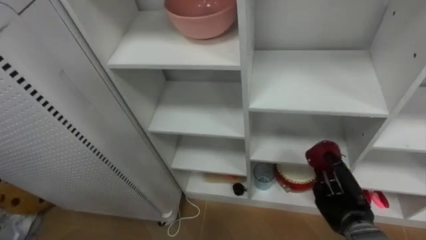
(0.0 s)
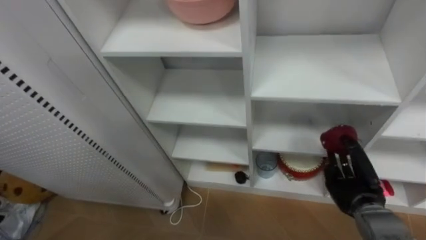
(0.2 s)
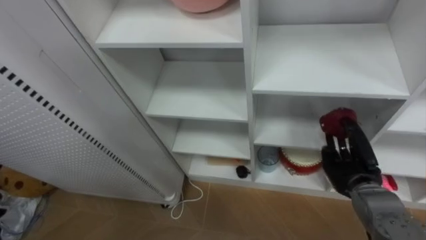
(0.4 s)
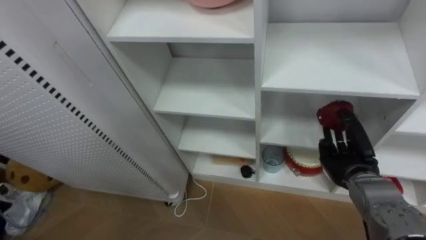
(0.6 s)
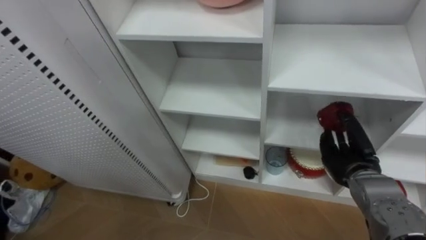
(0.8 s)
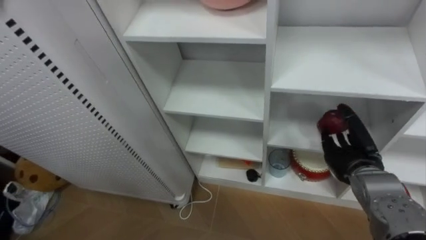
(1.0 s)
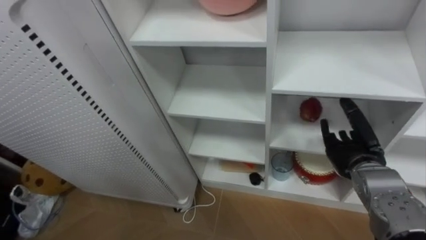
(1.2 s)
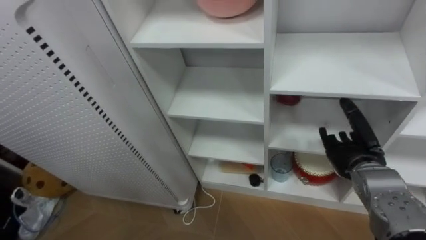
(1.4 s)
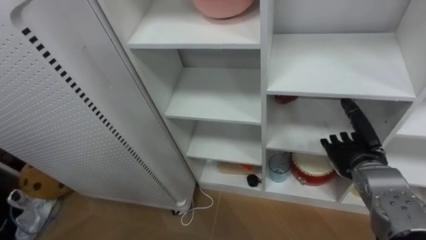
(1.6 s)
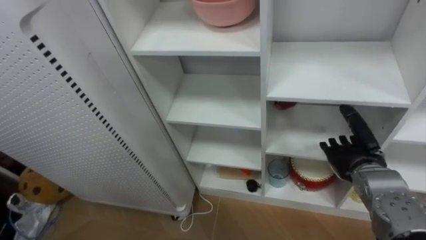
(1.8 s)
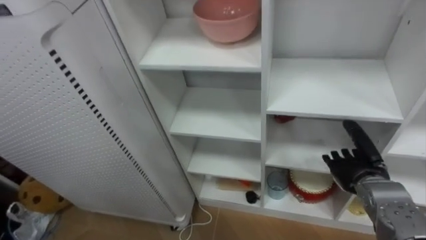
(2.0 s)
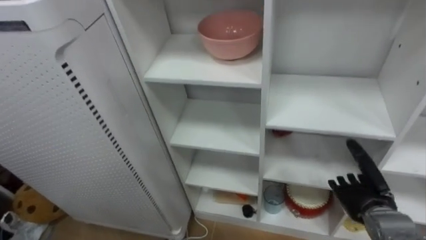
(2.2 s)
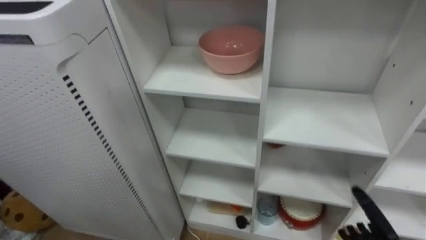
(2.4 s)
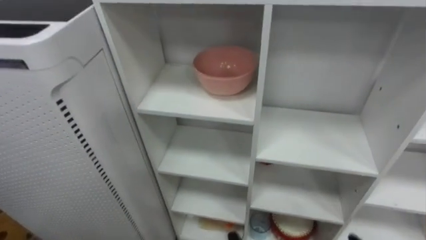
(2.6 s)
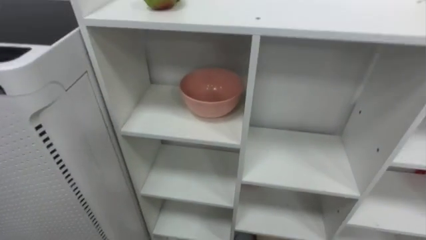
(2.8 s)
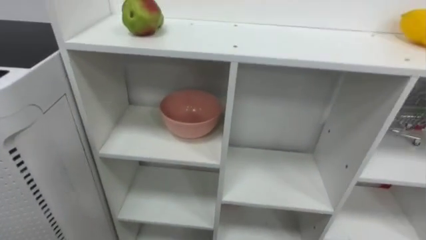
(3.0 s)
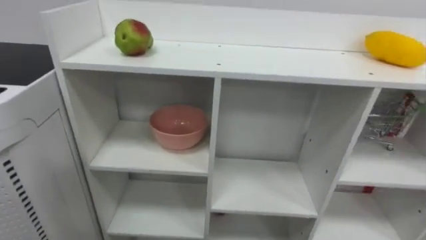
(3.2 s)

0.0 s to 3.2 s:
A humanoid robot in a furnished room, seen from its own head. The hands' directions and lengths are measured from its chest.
Task of the whole recording: Put the apple in the cell in the second column from the left and the second row from the top.
0.0 to 1.6 s: The right hand moves upward, about 10 cm, and opens.

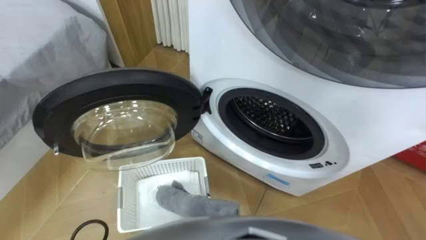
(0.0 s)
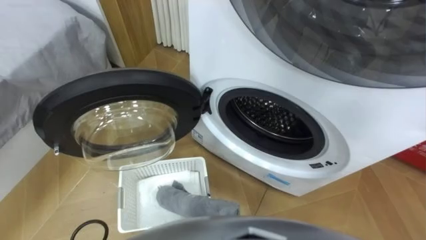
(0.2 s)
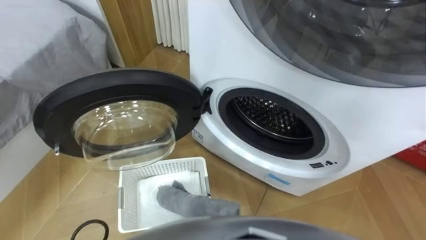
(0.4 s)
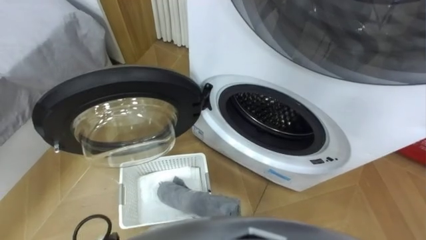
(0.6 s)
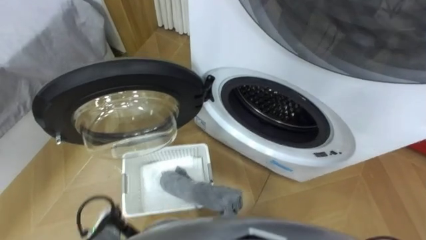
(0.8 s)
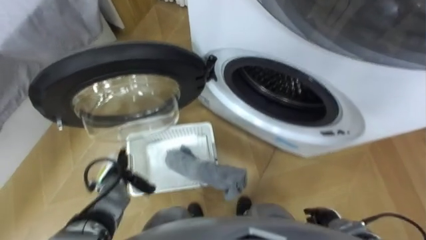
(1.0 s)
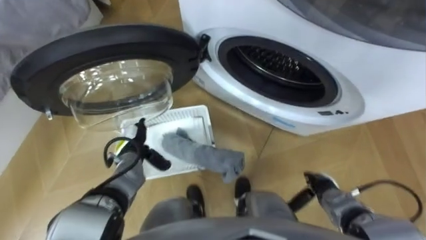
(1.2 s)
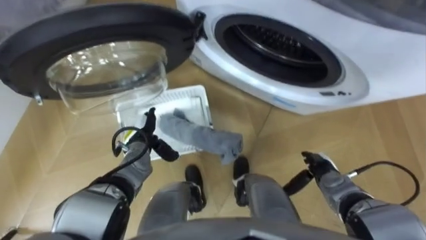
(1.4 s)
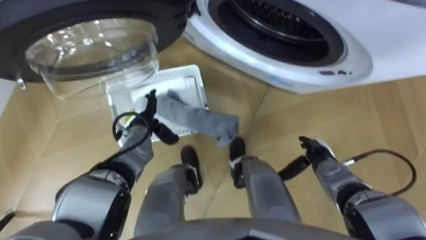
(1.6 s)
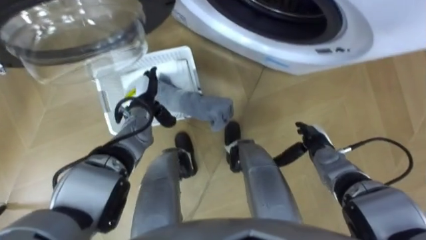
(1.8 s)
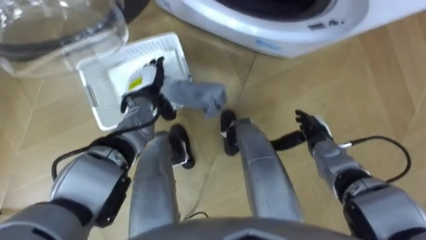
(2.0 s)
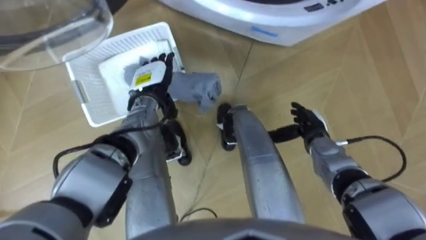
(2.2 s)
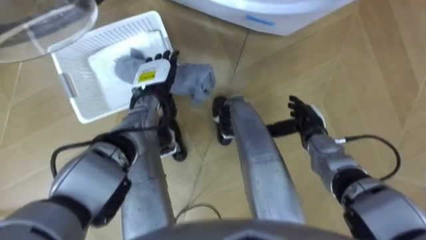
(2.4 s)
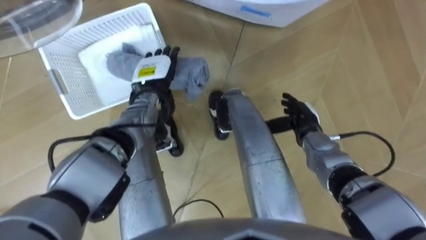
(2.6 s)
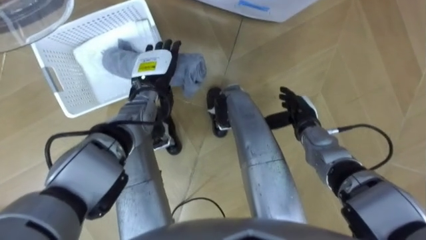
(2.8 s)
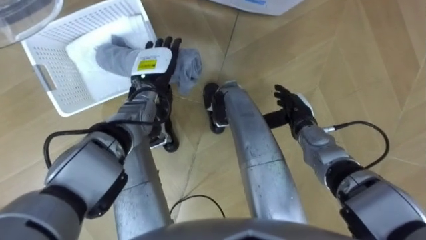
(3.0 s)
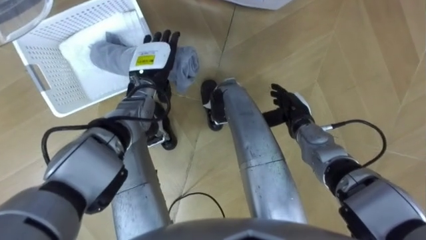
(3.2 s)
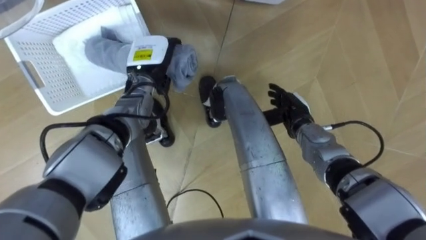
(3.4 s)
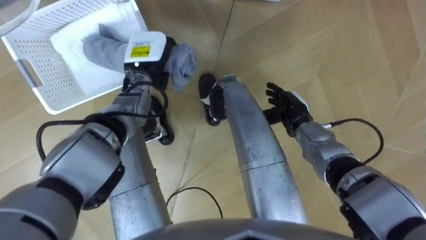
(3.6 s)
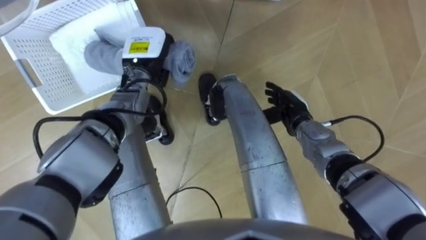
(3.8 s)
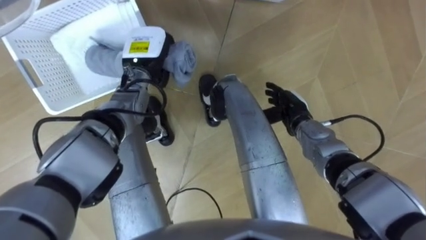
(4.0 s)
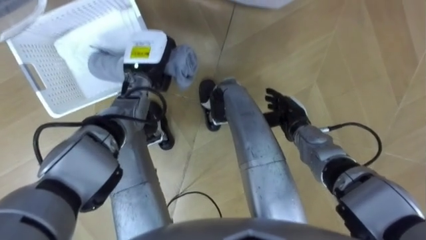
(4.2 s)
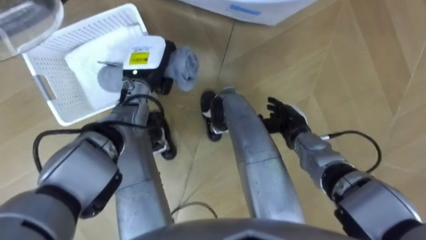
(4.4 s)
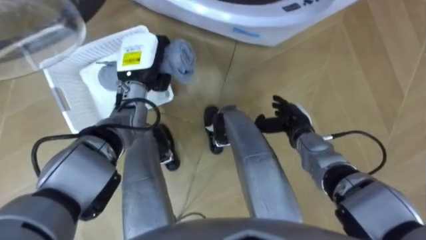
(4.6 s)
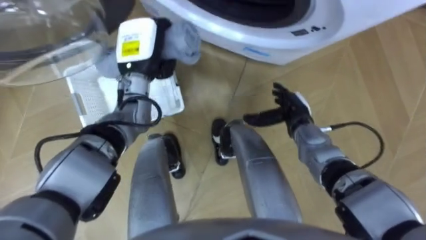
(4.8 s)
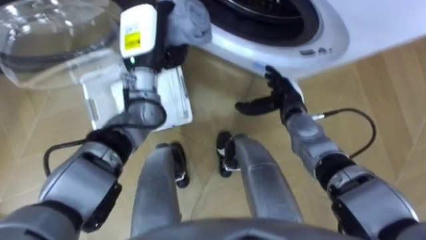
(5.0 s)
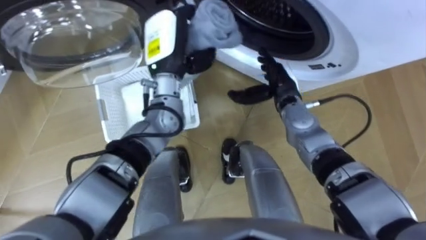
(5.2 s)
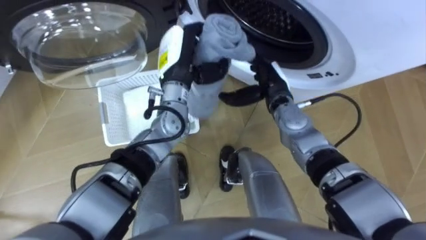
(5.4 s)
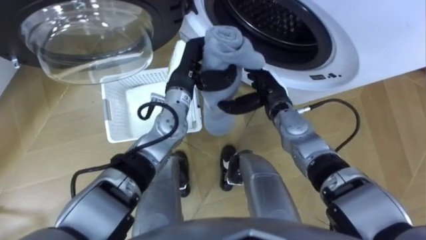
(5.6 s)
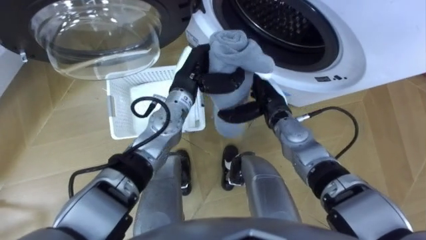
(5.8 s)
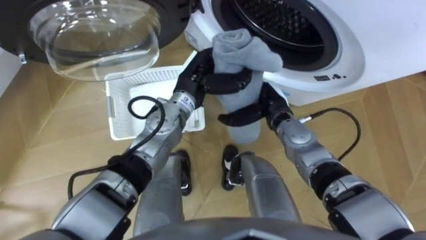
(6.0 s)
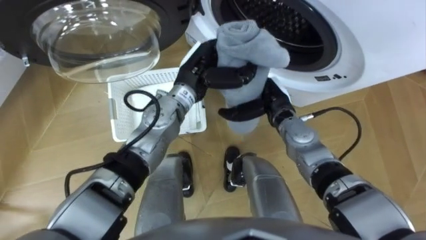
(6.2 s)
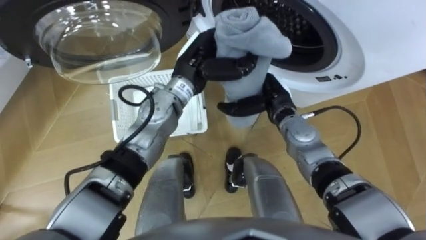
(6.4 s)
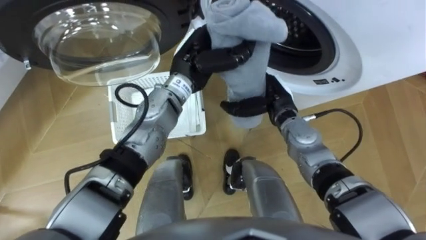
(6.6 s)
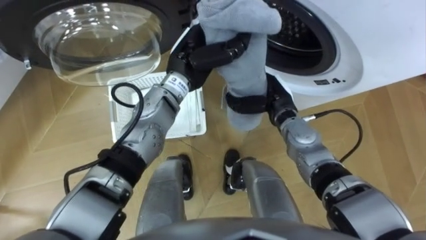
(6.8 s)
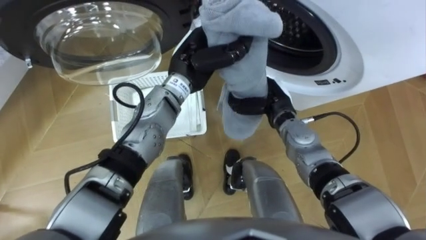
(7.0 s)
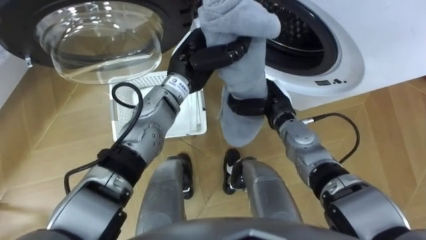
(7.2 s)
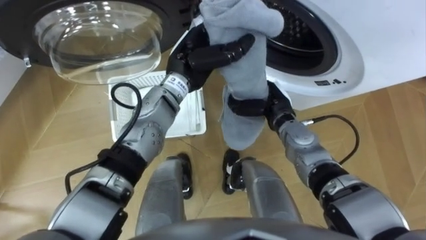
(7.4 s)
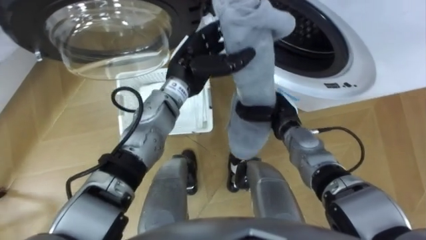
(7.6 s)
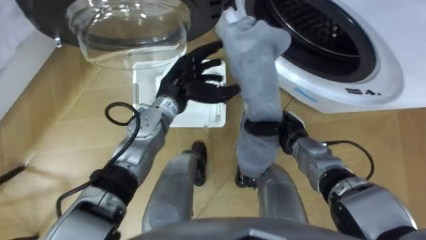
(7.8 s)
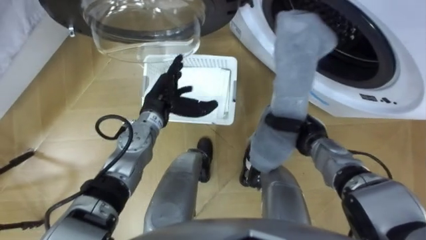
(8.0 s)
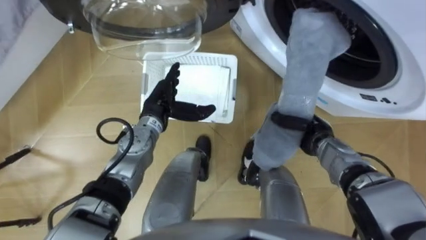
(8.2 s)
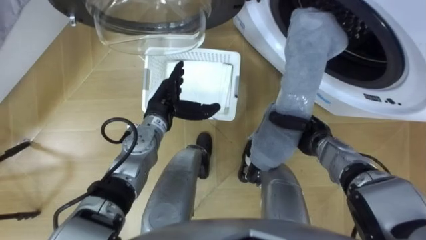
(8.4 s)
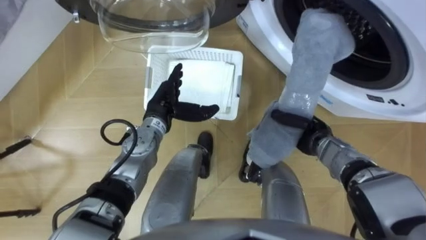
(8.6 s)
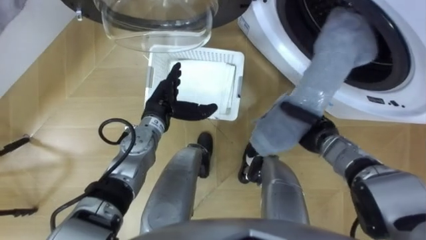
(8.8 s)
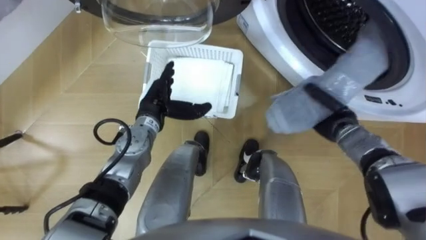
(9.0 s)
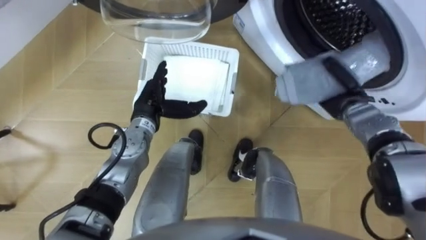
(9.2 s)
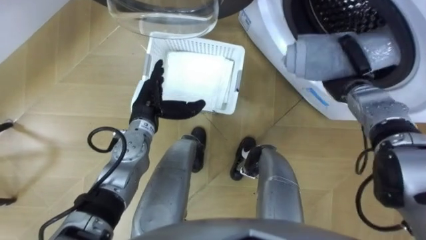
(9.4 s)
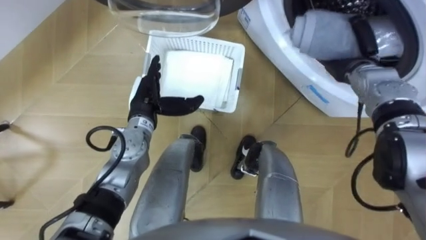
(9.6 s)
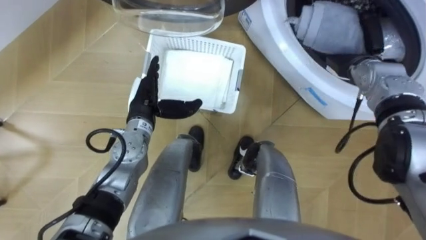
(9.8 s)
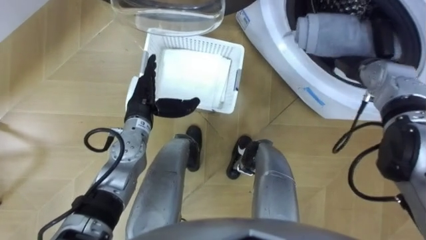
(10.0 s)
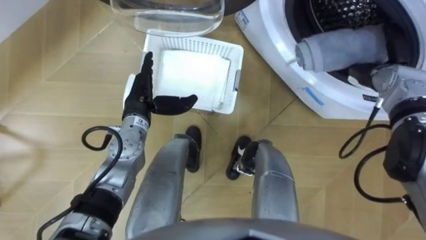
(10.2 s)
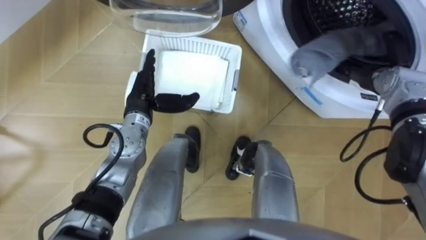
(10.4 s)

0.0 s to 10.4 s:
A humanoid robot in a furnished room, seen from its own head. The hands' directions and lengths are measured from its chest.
Task of the whole recording: Take the towel from the basket and put it into the washing machine.
1.4 to 3.0 s: The right hand is displaced forward, upward and to the left by about 15 cm. The left hand shifts about 15 cm forward and upward.
3.0 to 4.4 s: The left hand closes up.
4.4 to 6.0 s: The right hand moves to the left, approximately 5 cm. Meanwhile the left hand moves to the right, roughly 10 cm.
6.0 to 7.4 s: The right hand closes.
7.4 to 9.0 s: The right hand moves to the right, about 15 cm; the left hand is displaced downward and to the left by approximately 15 cm, and opens up.
9.0 to 10.4 s: The right hand heads upward, to the right and forward, covering roughly 10 cm, and opens up.

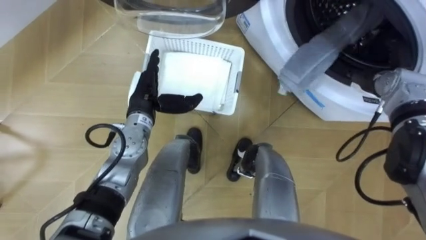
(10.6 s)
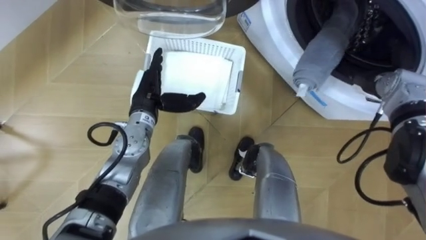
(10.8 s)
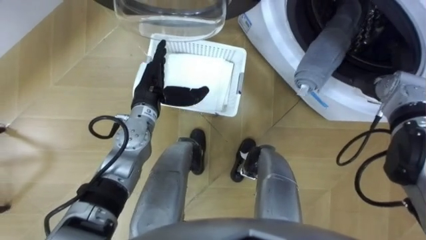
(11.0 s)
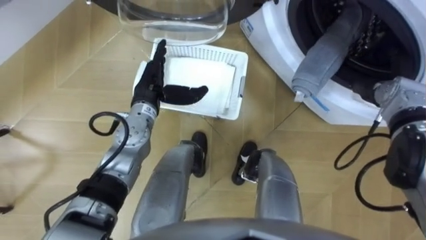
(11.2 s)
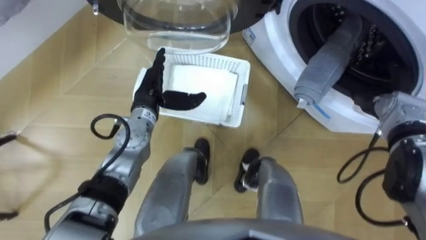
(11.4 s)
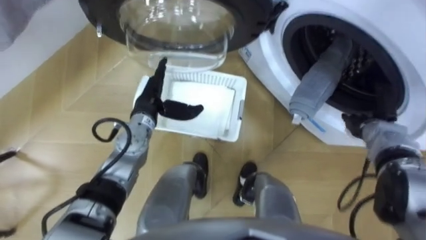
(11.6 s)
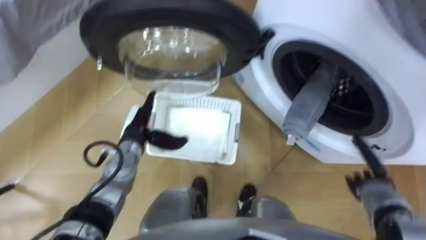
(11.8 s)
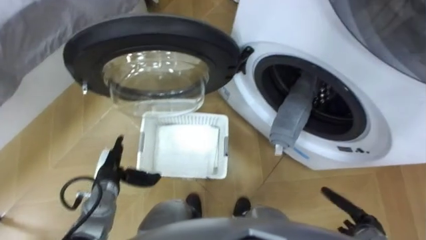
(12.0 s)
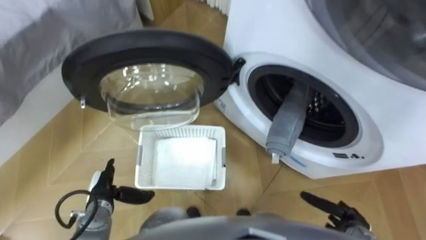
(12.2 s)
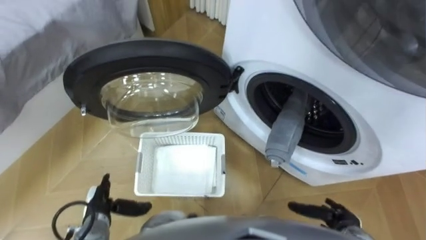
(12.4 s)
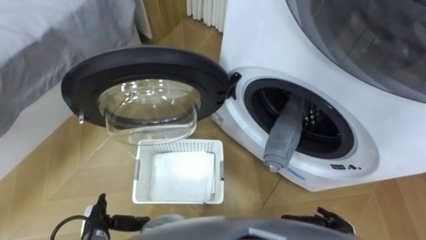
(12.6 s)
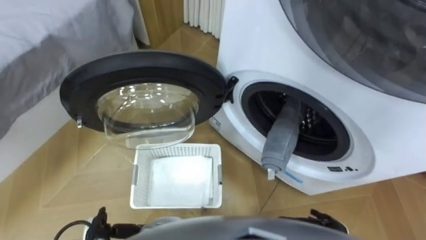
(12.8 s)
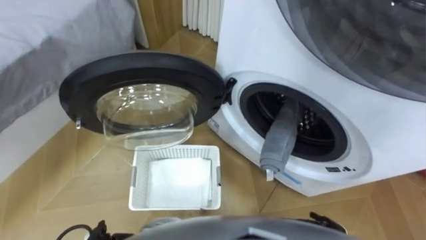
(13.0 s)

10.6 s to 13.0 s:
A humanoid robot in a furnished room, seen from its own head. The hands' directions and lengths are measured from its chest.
Task of the whole recording: Take the towel from the basket and put it into the washing machine.
10.6 to 11.8 s: The left hand is displaced downward by roughly 5 cm. The right hand heads backward and downward, covering roughly 25 cm.
11.8 to 13.0 s: The right hand goes some 15 cm backward, to the left and downward.
